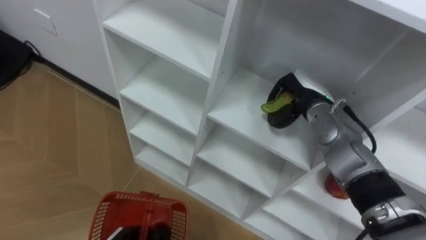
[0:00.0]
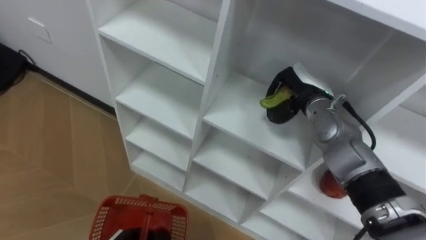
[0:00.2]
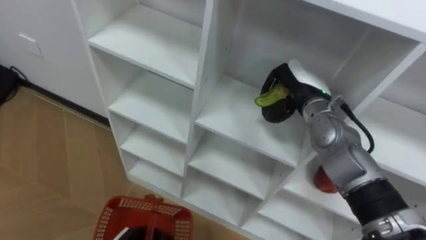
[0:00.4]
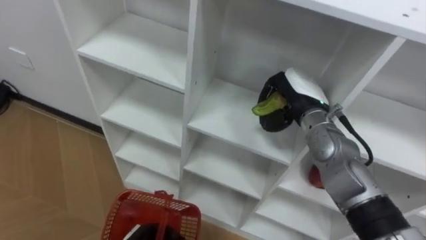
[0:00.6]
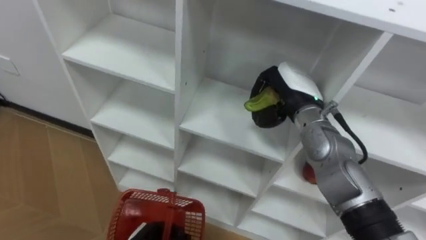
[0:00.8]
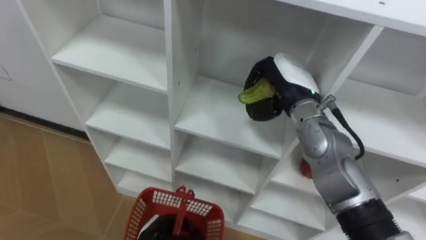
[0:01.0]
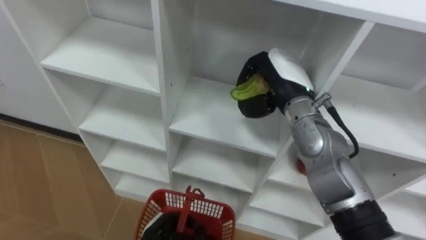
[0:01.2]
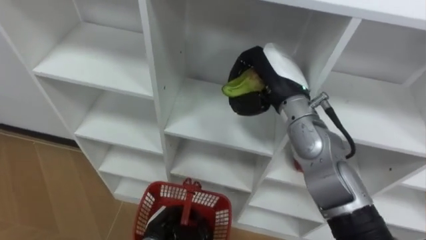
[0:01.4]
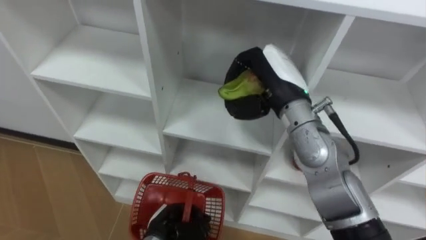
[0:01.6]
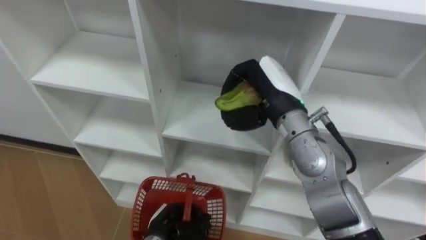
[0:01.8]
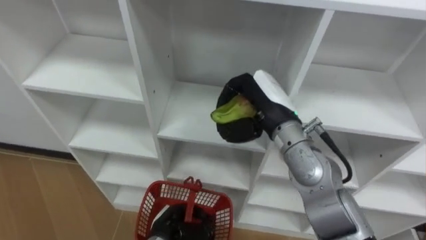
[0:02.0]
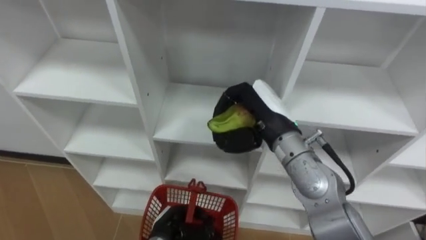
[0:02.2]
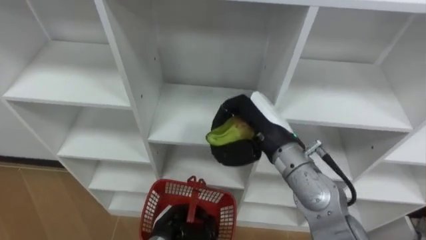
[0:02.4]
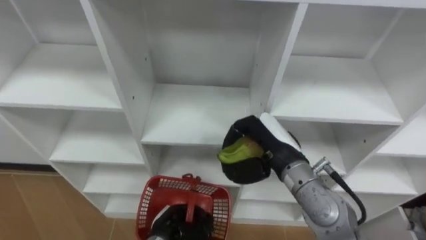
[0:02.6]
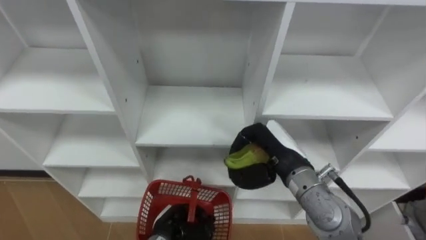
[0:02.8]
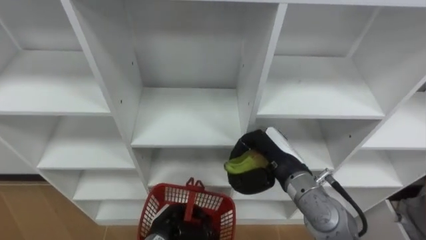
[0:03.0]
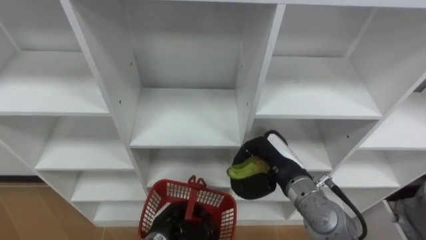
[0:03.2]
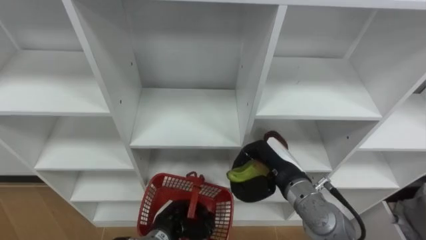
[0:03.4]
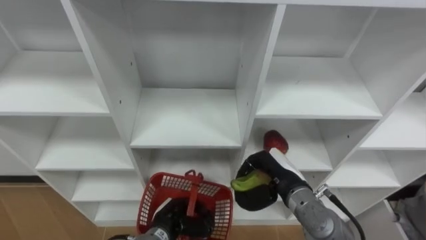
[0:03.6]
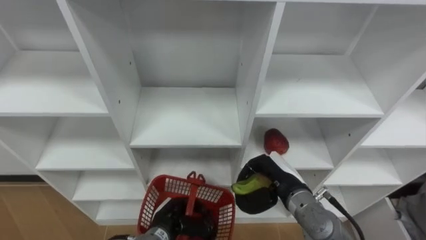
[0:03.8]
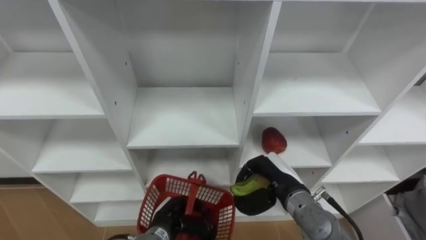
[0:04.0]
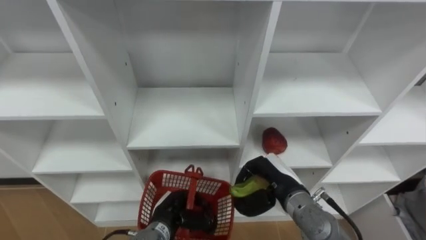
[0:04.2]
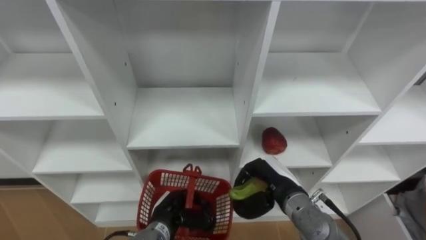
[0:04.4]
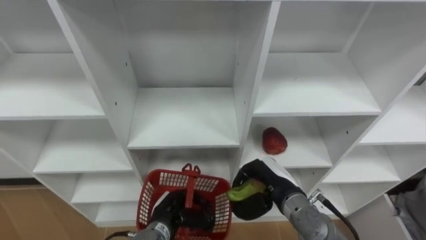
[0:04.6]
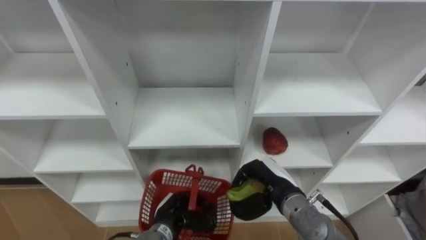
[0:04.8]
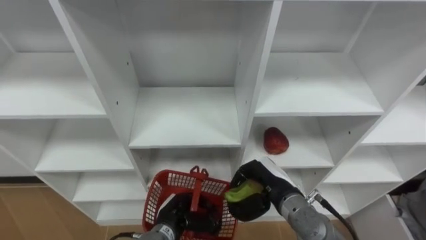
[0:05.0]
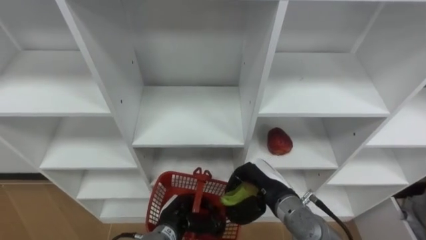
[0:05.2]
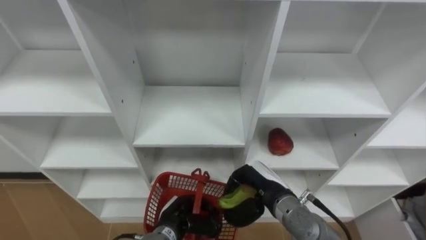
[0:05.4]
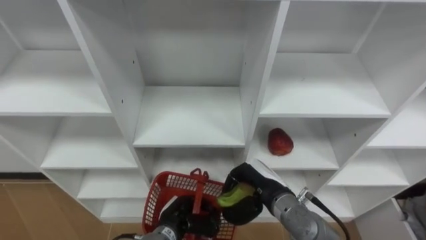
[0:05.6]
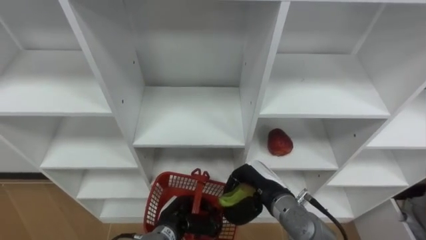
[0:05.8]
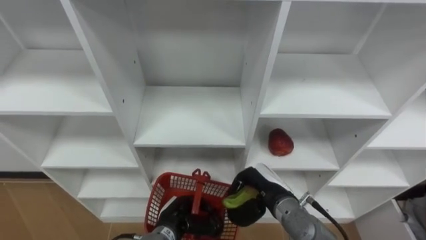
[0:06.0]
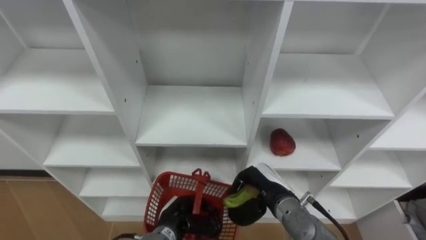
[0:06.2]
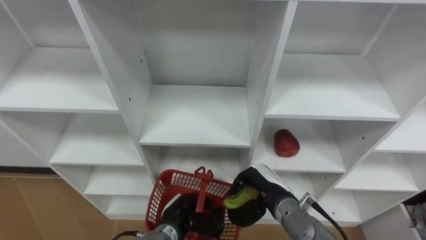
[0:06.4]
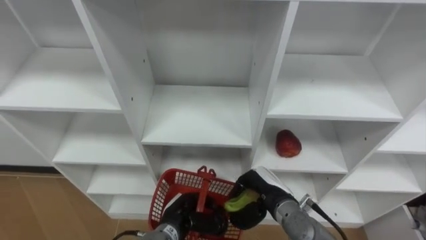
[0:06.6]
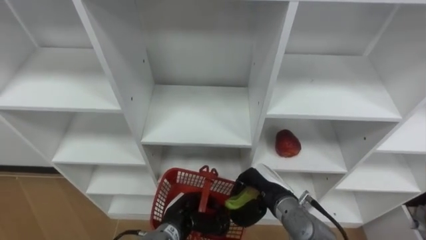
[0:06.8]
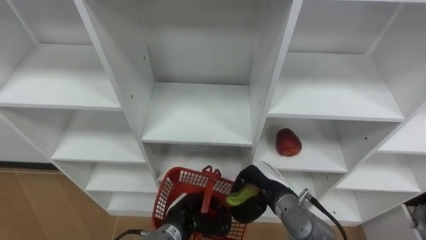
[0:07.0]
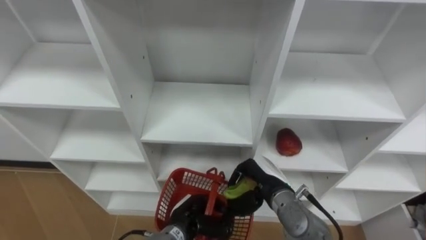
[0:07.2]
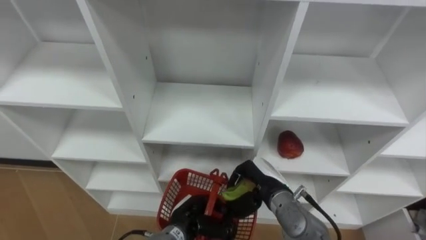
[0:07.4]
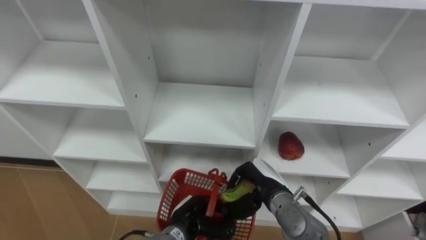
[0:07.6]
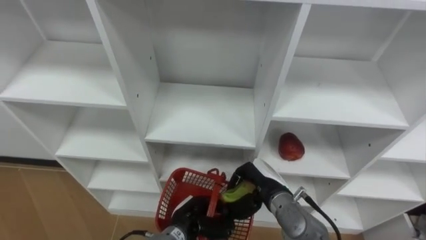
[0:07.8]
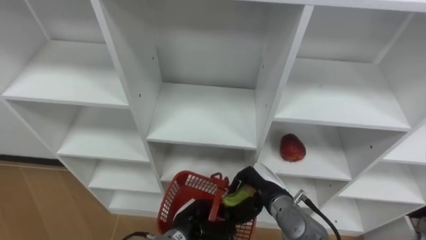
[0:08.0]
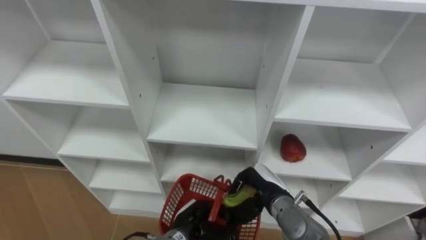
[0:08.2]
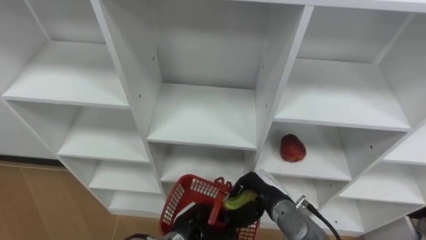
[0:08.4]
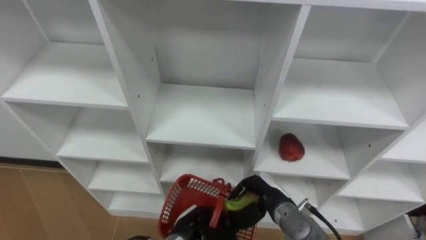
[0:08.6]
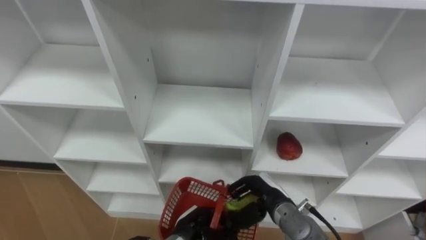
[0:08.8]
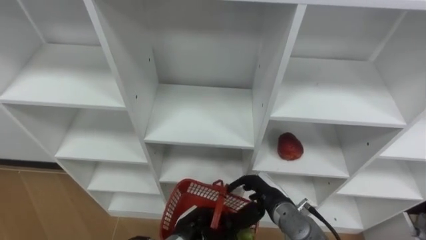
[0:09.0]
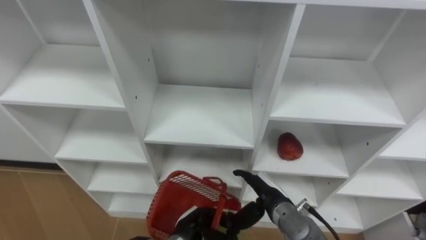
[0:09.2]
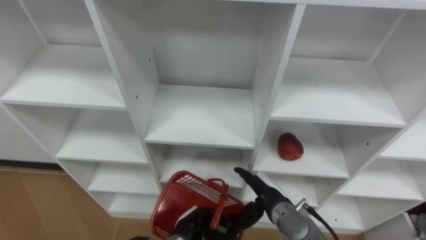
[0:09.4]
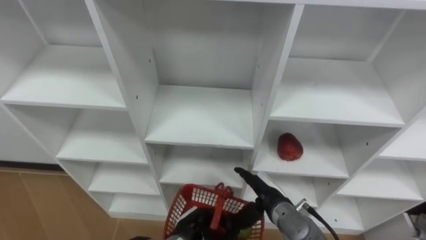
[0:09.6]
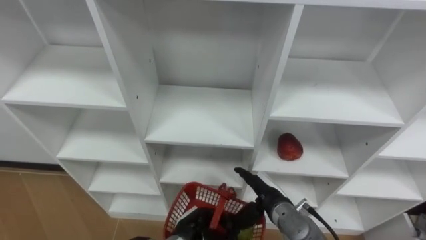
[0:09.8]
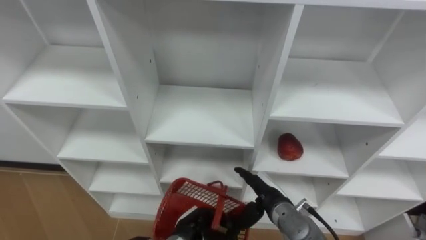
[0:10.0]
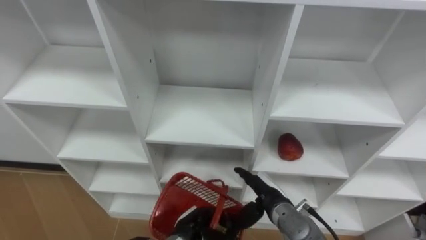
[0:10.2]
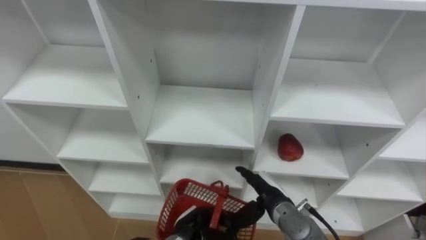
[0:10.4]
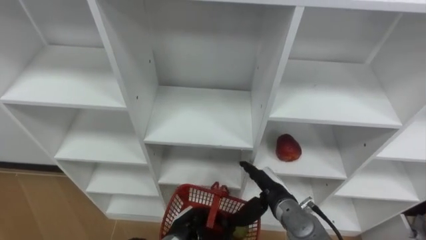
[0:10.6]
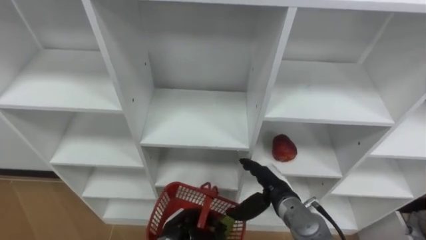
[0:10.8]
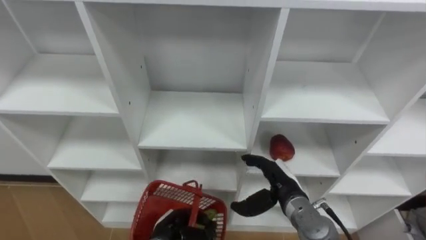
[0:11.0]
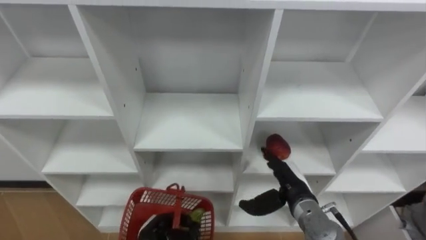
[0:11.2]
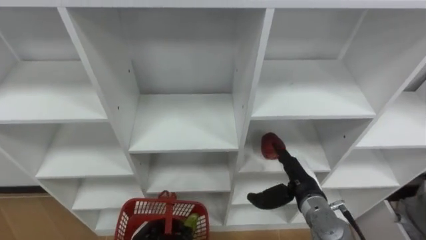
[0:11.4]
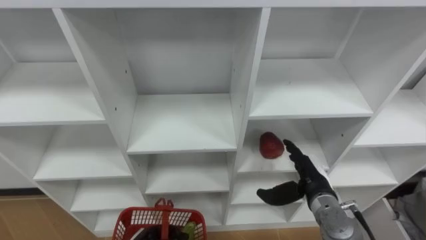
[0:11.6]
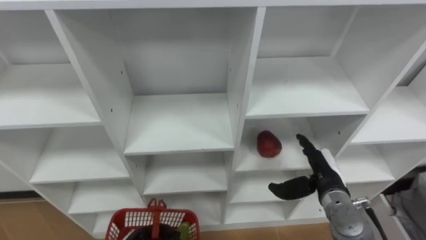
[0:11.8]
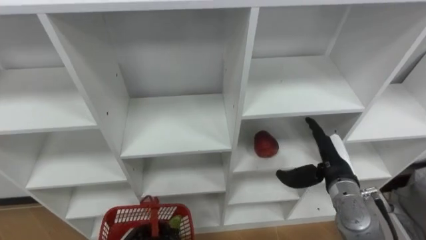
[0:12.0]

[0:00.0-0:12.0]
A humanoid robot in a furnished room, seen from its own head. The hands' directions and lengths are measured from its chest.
Task of the whole recording: Hold the basket and collect the fruits from 3 different cells of the closet into it.
0:00.0 to 0:01.6: The right hand goes roughly 15 cm upward, to the left and backward.
0:01.6 to 0:03.0: The right hand is displaced downward and backward by roughly 15 cm.
0:03.0 to 0:04.4: The right hand moves downward, roughly 5 cm.
0:07.6 to 0:09.0: The right hand opens.
0:09.0 to 0:10.4: Neither hand changes place.
0:10.4 to 0:12.0: The right hand goes approximately 15 cm to the right and upward.

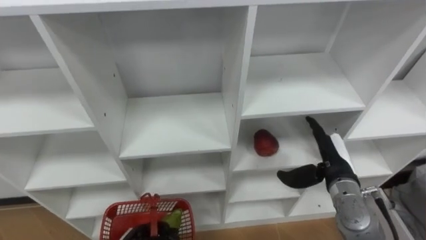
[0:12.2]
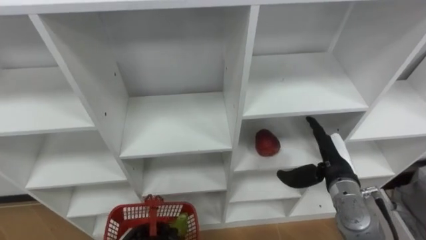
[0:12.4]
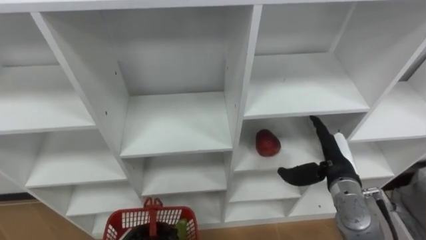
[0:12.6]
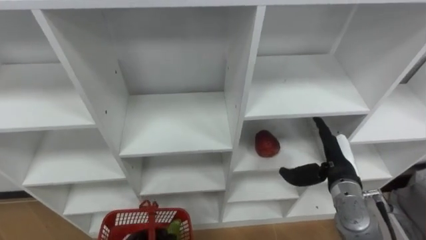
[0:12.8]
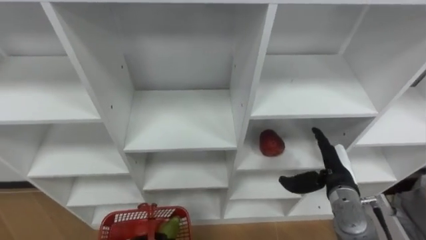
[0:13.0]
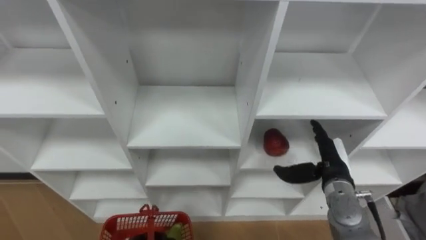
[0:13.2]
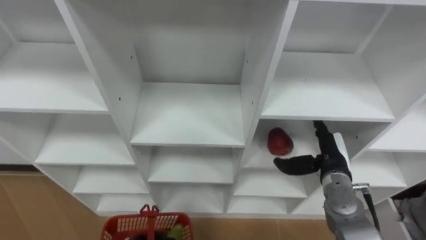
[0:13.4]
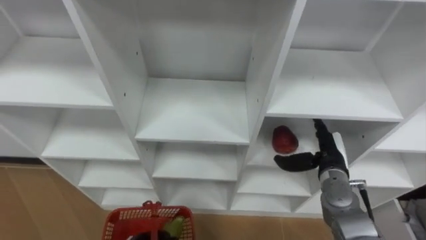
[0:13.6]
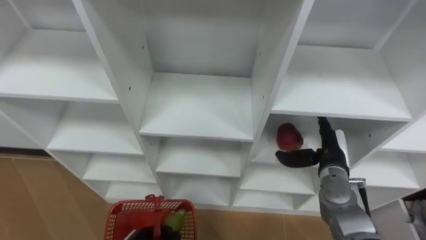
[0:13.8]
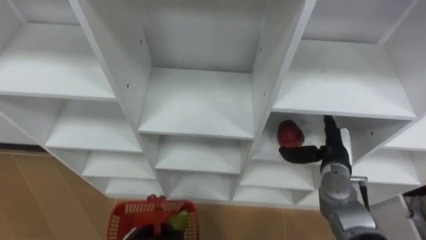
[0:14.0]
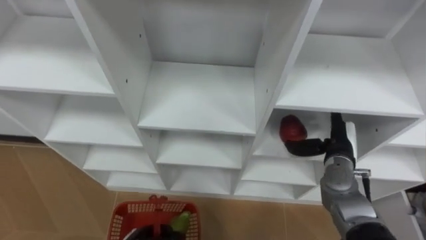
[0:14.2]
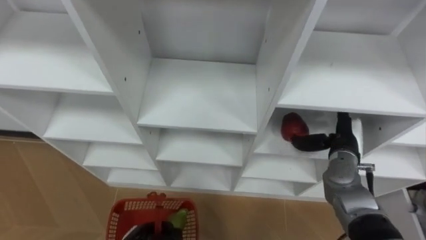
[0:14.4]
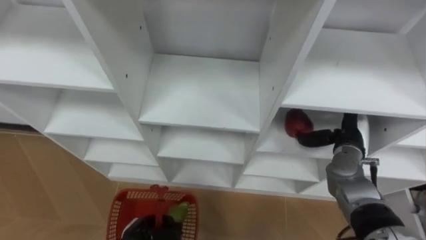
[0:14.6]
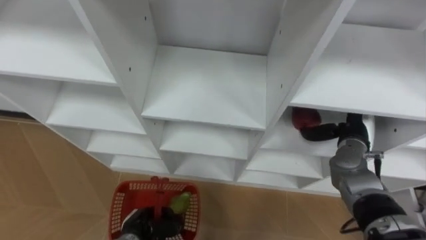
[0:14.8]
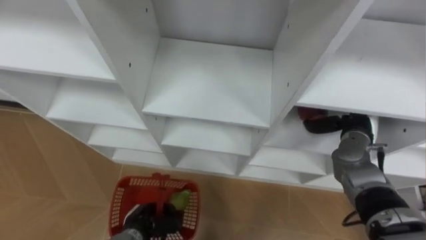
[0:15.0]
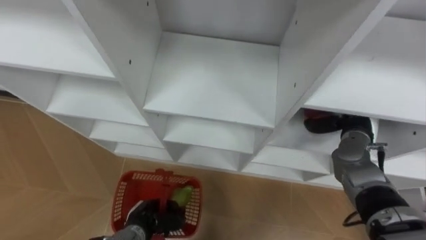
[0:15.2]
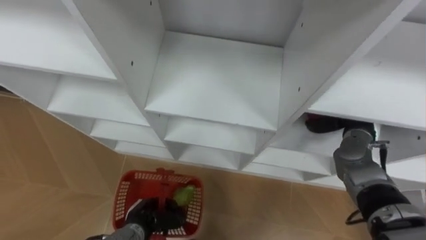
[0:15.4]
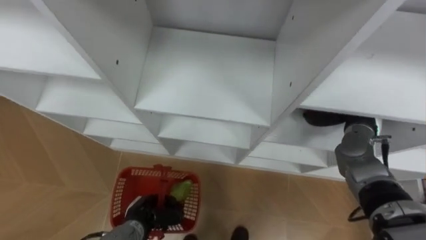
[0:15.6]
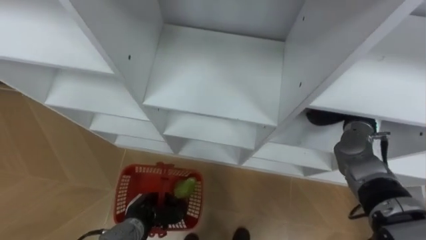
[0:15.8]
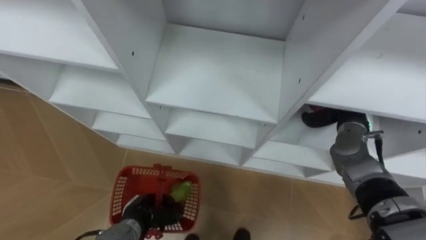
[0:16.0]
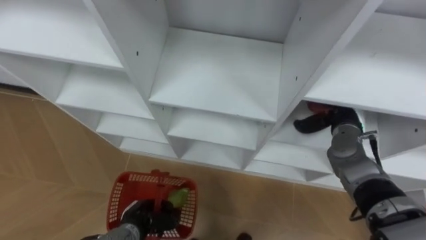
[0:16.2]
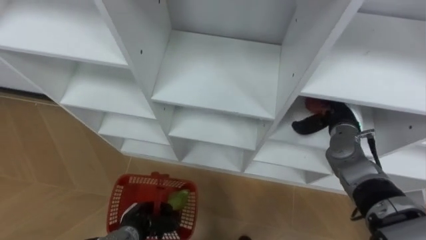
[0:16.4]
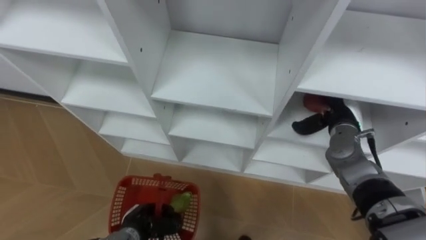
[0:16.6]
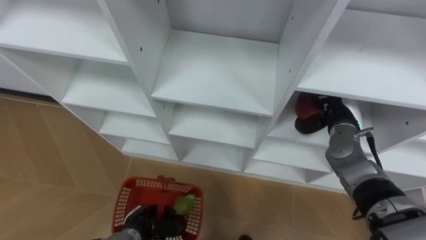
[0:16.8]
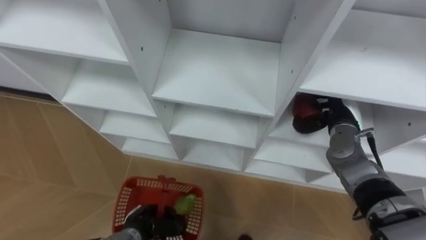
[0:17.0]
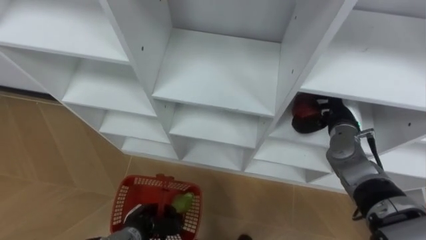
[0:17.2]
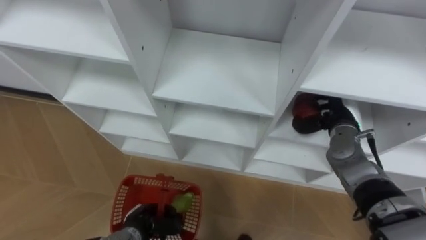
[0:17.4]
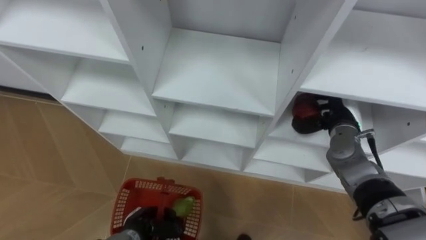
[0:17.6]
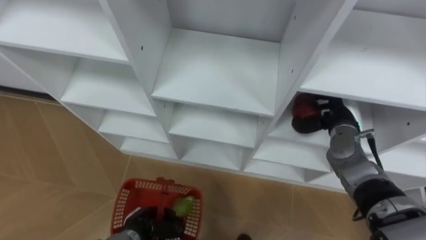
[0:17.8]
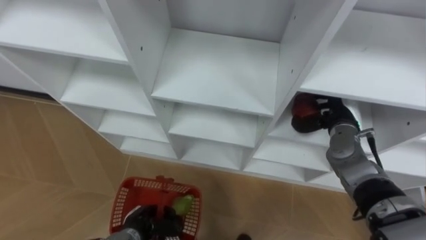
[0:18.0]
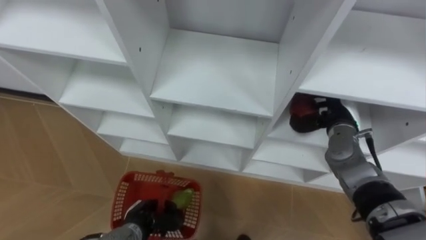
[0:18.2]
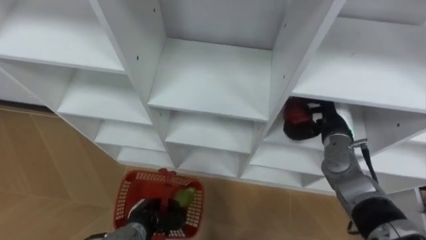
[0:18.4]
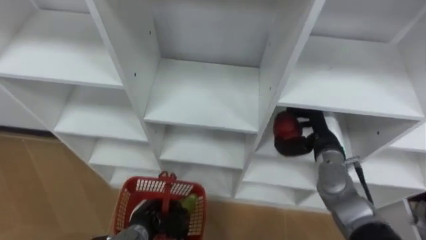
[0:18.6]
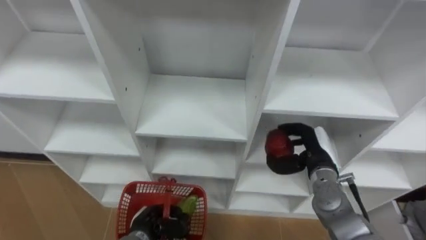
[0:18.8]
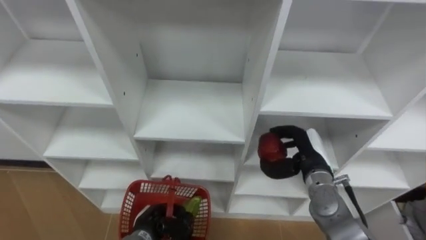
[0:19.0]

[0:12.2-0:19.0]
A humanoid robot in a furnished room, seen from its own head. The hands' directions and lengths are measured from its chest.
Task of the whole recording: Hold the basket and collect the fruits from 3 different cells of the closet into it.
0:13.6 to 0:15.0: The right hand travels forward and to the right by approximately 10 cm.
0:16.2 to 0:17.6: The right hand closes up.
0:17.6 to 0:19.0: The right hand travels backward and to the left by some 10 cm.
